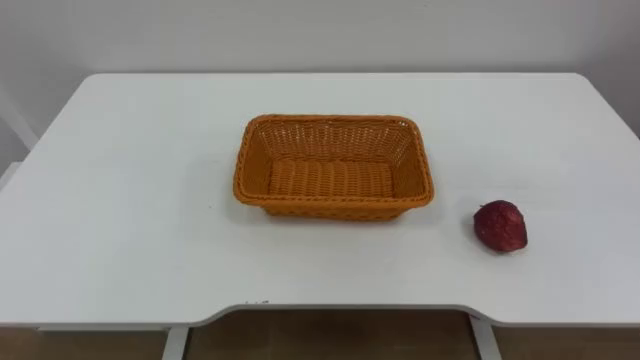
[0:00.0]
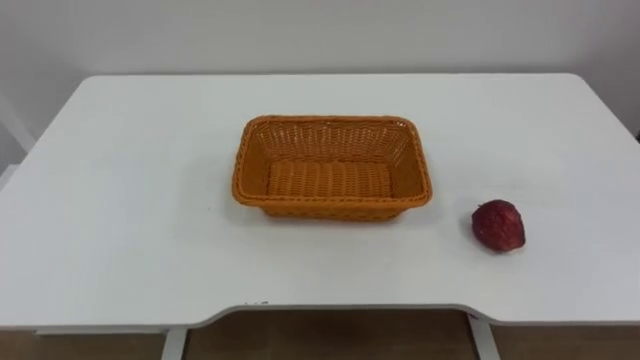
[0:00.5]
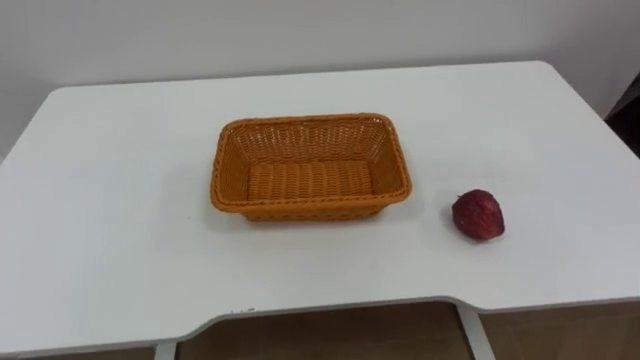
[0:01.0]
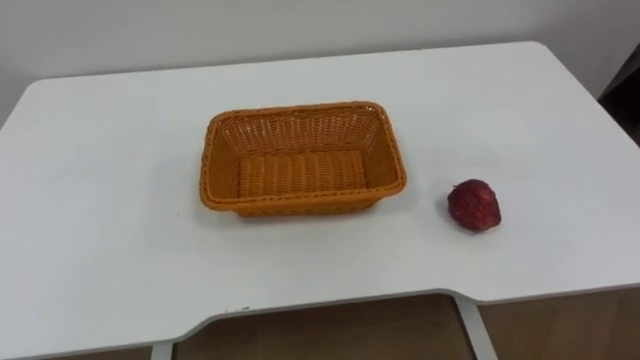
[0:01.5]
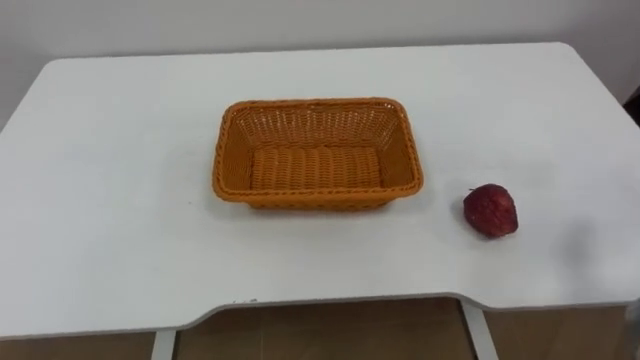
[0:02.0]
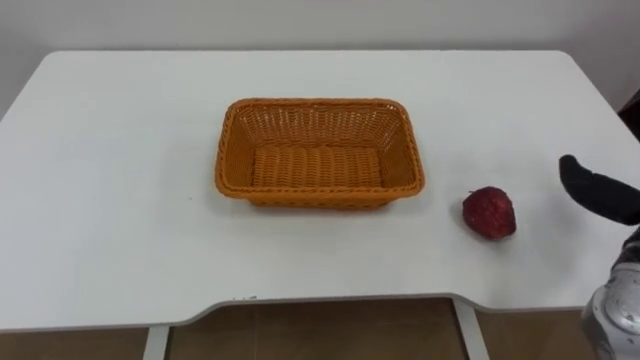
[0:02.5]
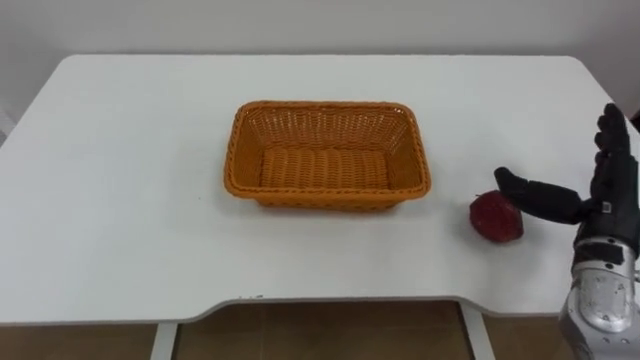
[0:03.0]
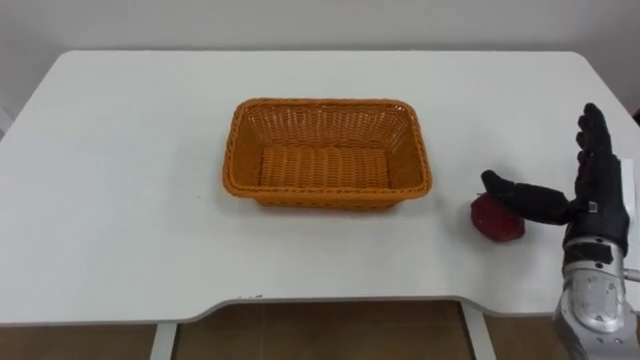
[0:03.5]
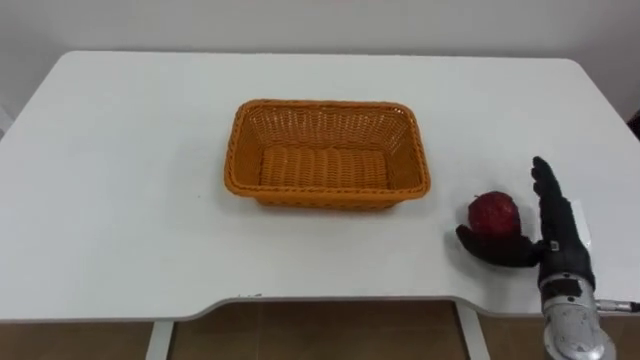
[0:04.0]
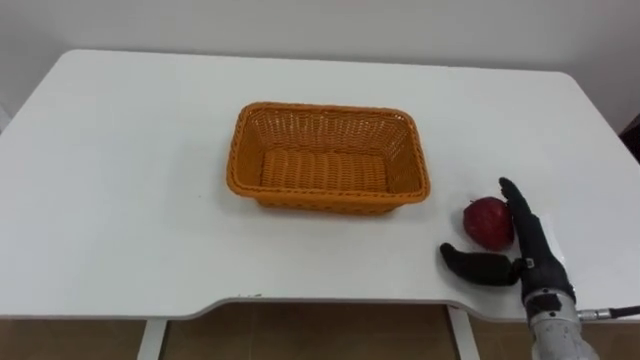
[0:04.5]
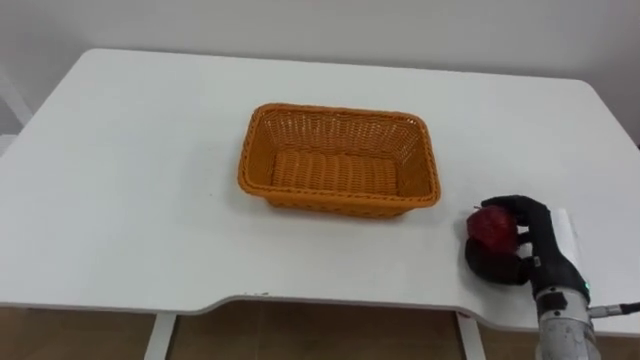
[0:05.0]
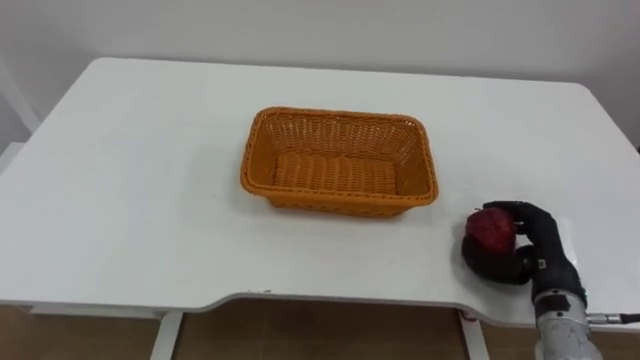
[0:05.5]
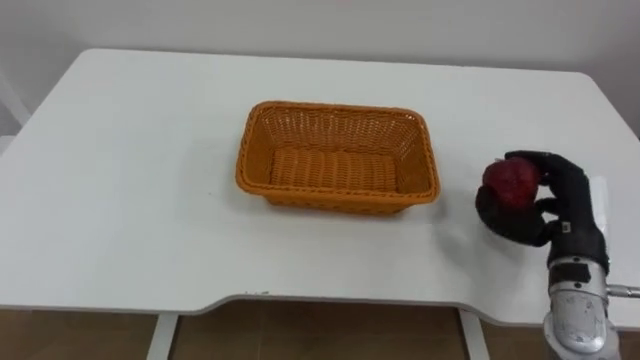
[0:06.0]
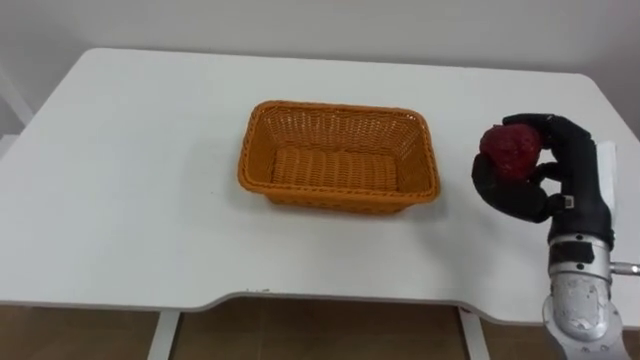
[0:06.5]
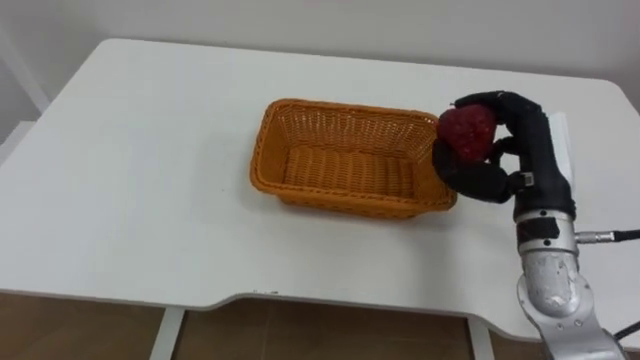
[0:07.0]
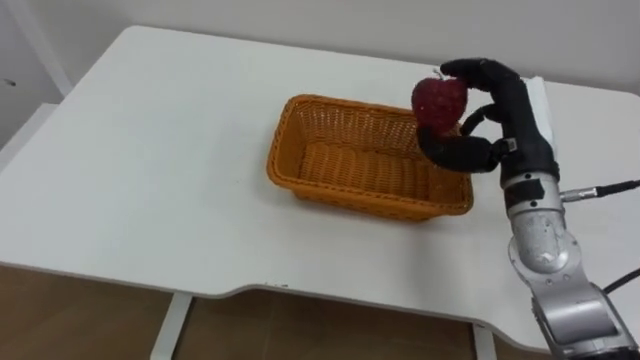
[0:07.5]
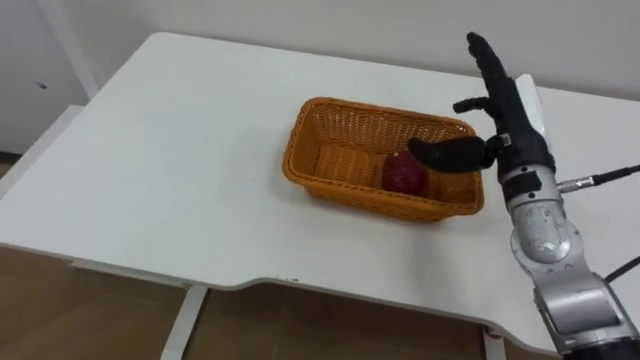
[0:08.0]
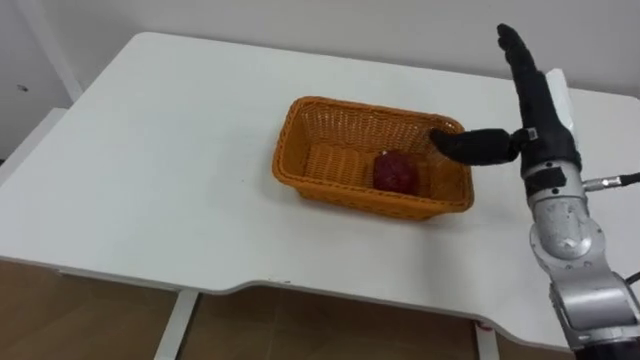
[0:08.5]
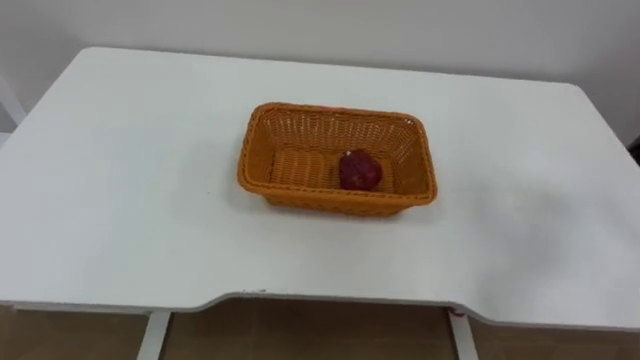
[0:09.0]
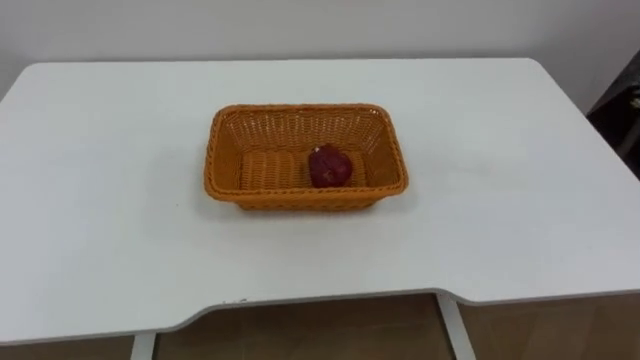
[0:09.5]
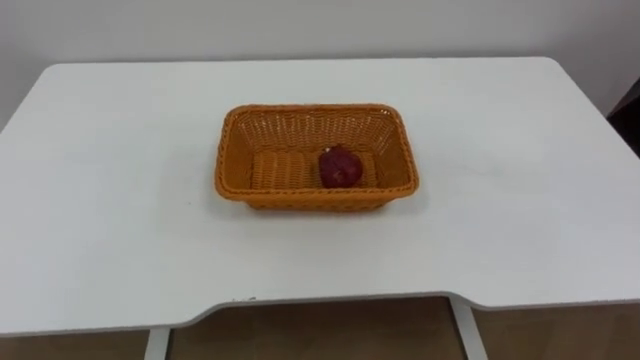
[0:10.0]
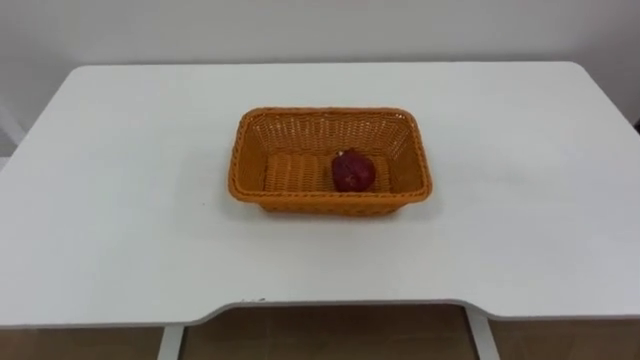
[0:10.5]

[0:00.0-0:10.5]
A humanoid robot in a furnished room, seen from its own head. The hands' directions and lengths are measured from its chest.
Task of the whole recording: Pick the apple and place it in the box.
0:04.0 to 0:06.5: The right hand heads upward, covering about 10 cm, and closes its fingers.
0:06.5 to 0:08.5: The right hand shifts about 5 cm forward, and opens.

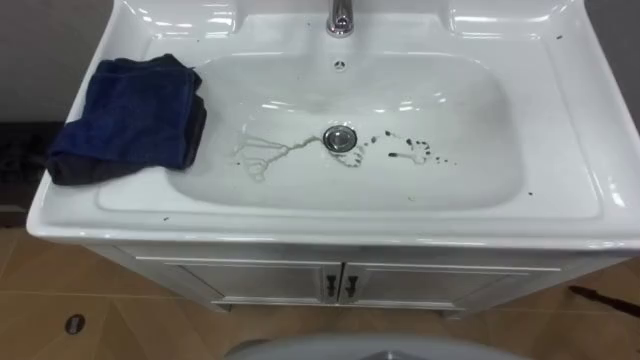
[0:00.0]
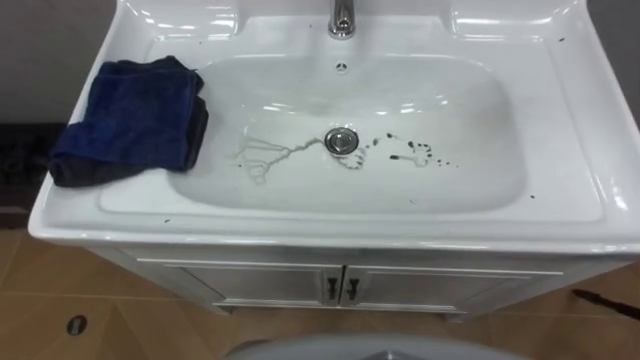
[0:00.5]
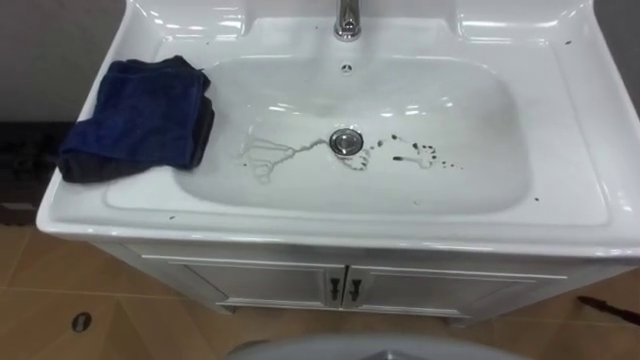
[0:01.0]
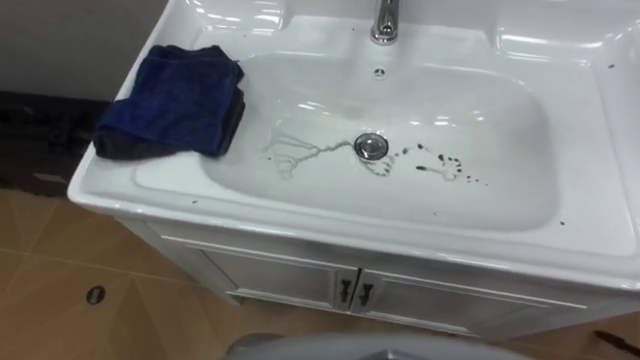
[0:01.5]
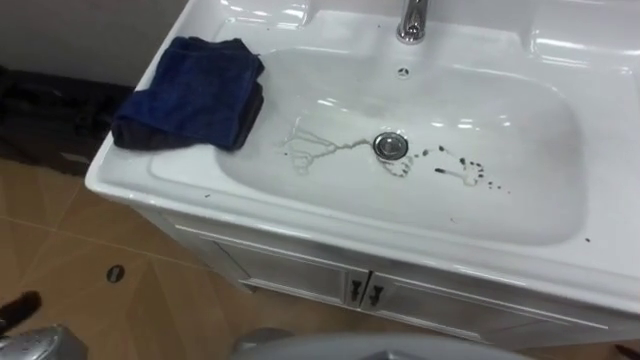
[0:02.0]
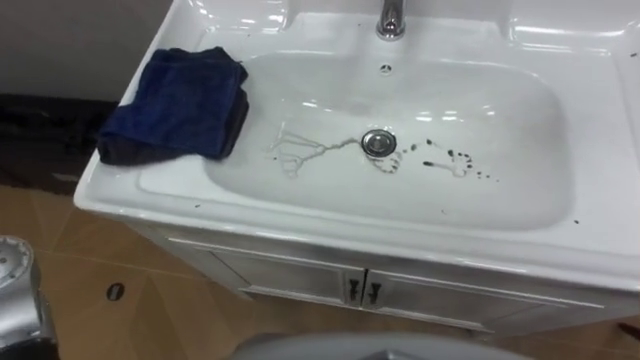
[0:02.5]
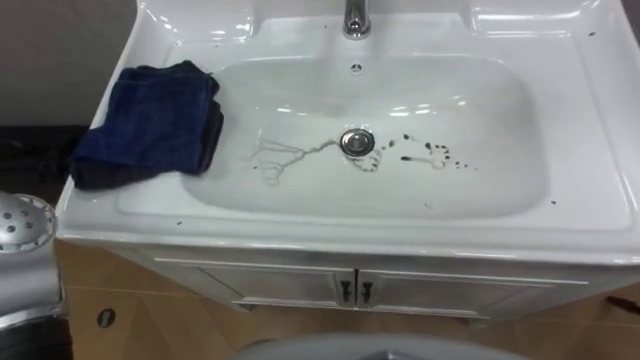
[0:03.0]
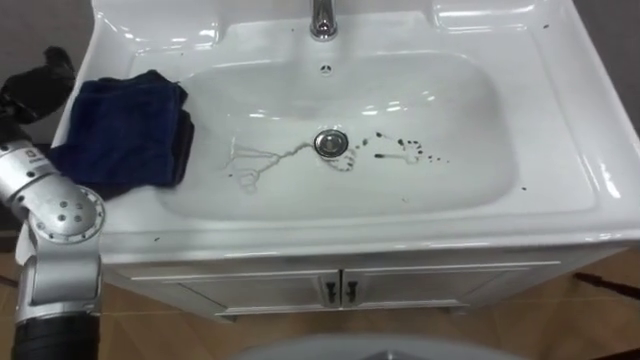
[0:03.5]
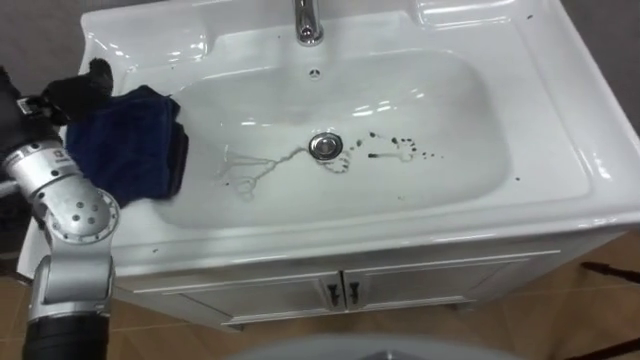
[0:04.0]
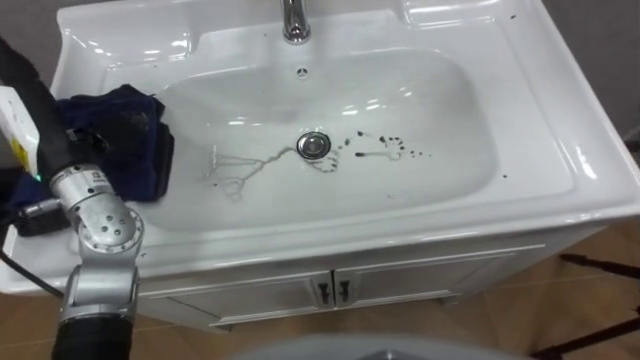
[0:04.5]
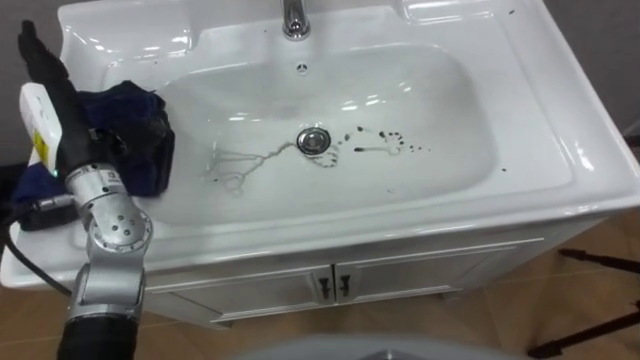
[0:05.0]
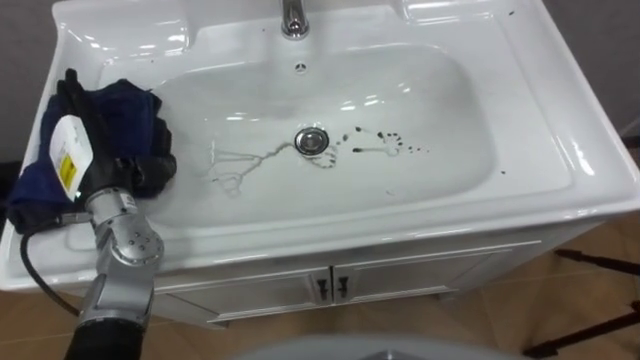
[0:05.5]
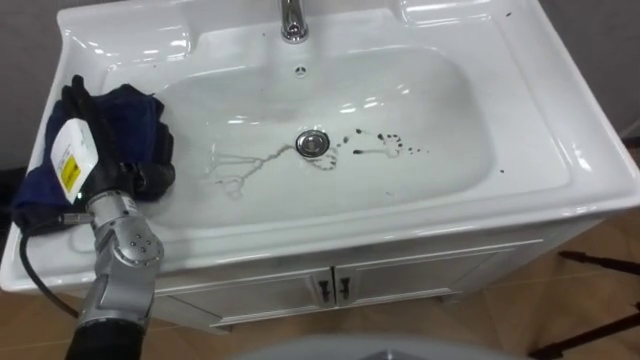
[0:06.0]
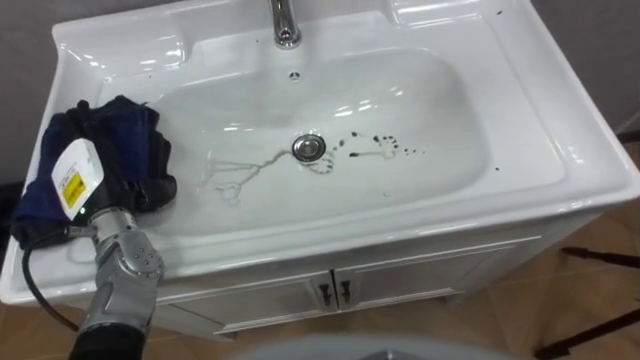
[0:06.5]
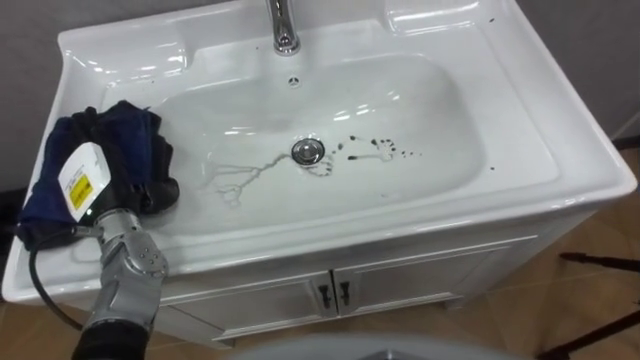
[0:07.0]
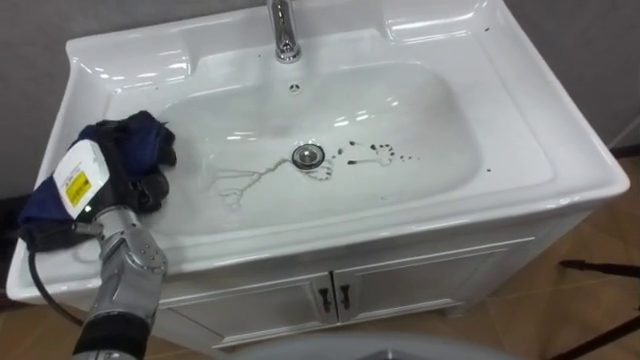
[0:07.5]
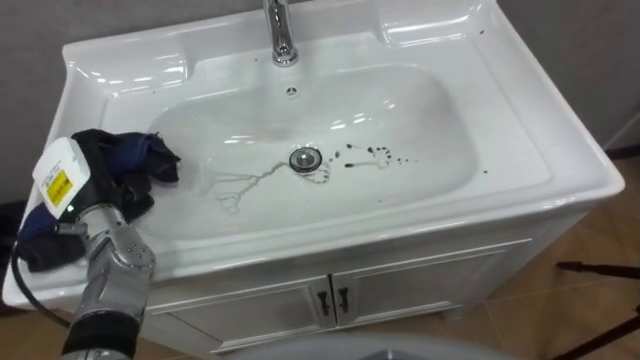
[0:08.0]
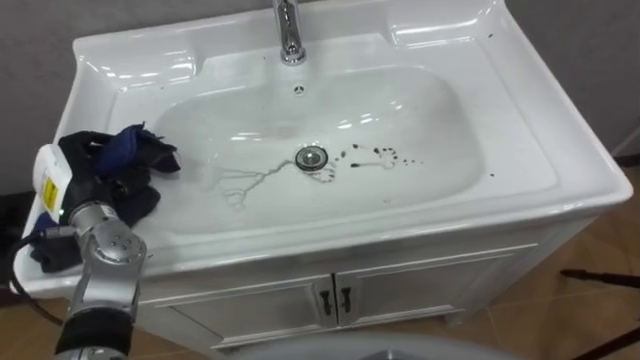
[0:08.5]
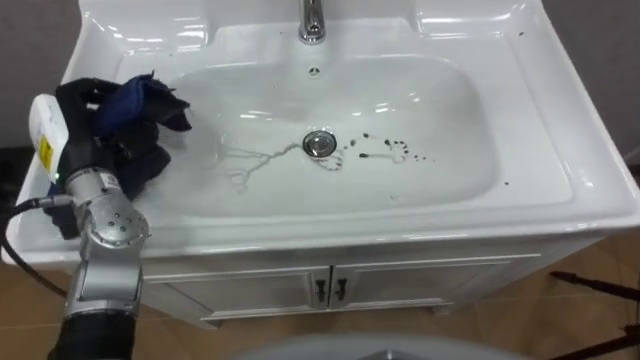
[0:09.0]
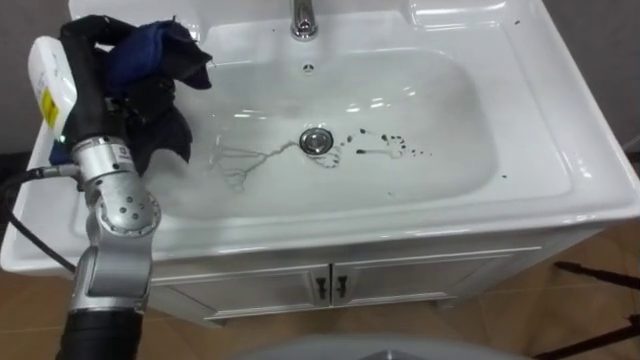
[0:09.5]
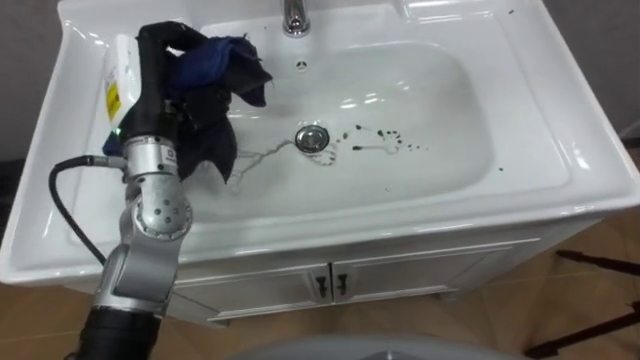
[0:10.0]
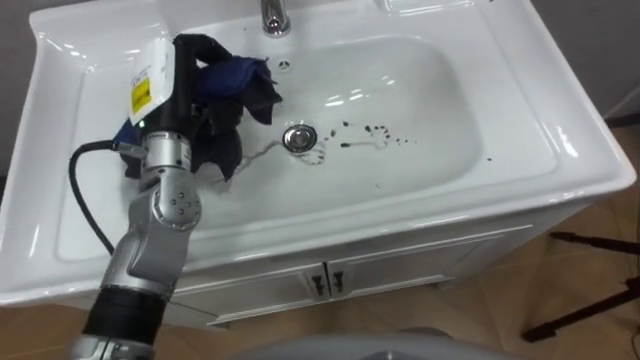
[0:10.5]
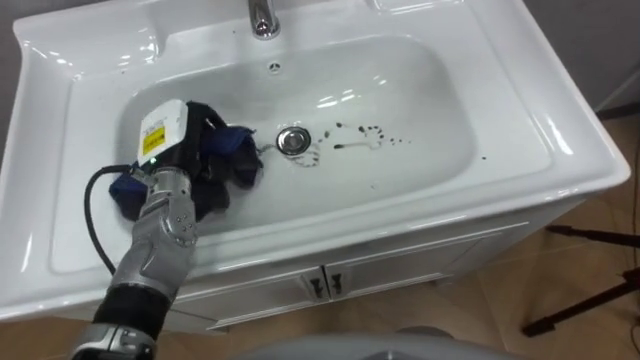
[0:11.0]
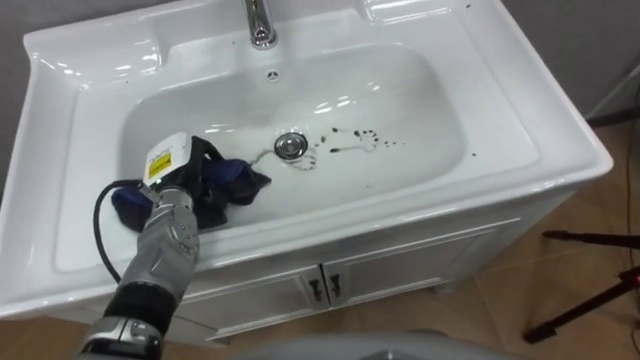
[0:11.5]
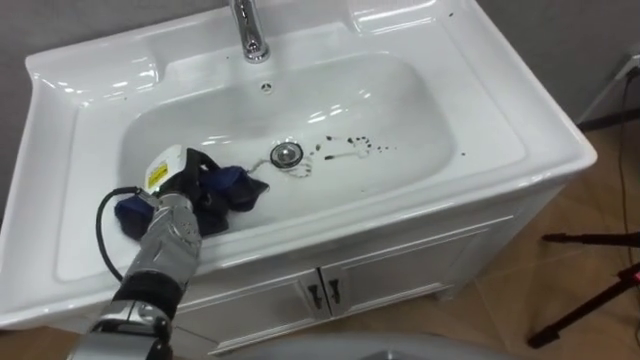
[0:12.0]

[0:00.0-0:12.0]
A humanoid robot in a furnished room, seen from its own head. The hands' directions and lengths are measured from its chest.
Task of the whole recording: Use the cloth on the right to wipe away the black stain in the sink.
0:06.0 to 0:08.0: The left hand closes.
0:08.0 to 0:10.0: The left hand moves upward, to the right and forward, about 15 cm.
0:10.0 to 0:12.0: The left hand shifts roughly 20 cm downward.
